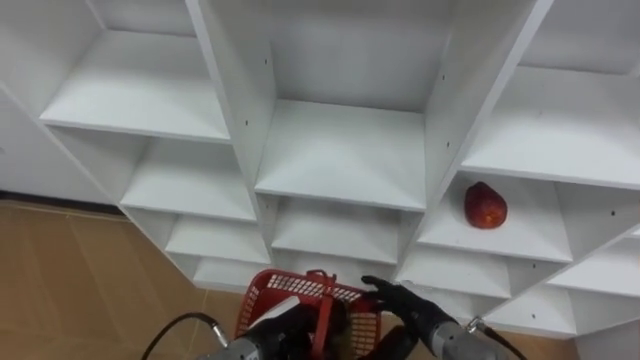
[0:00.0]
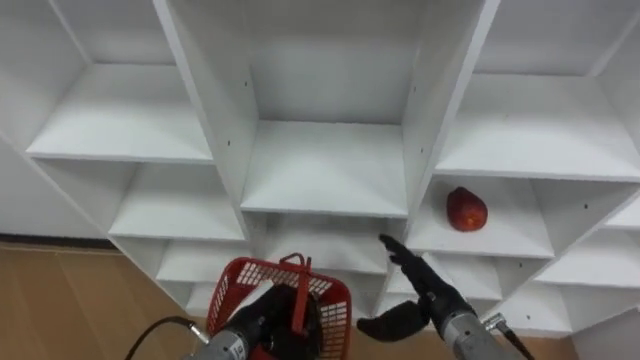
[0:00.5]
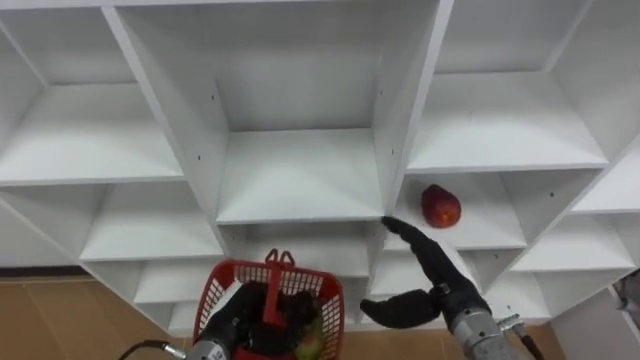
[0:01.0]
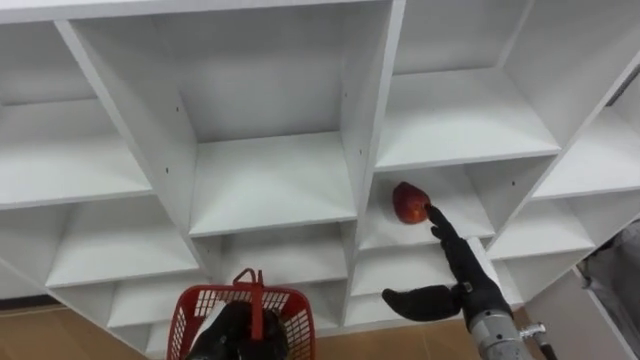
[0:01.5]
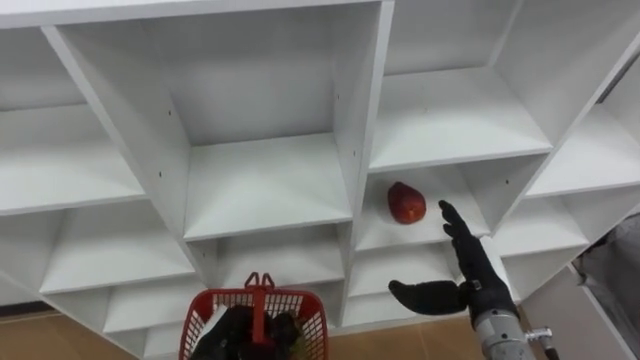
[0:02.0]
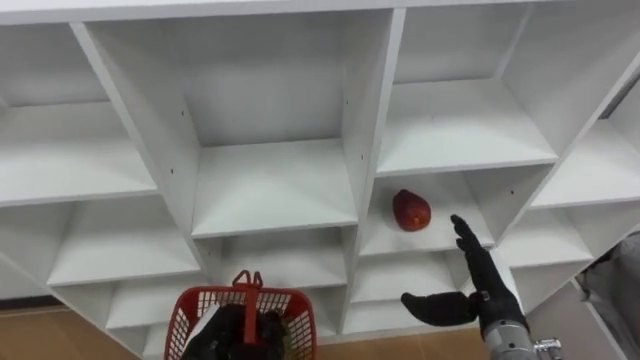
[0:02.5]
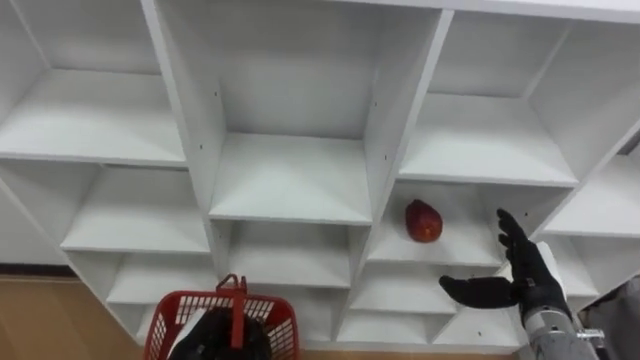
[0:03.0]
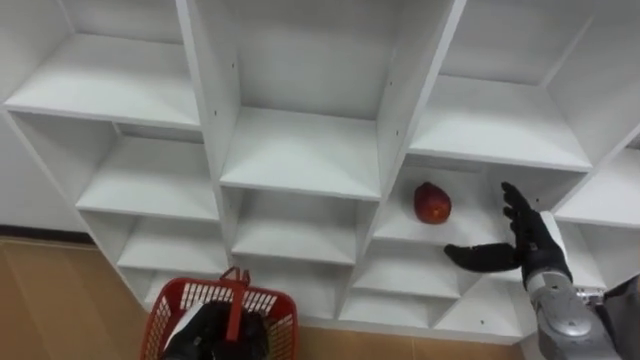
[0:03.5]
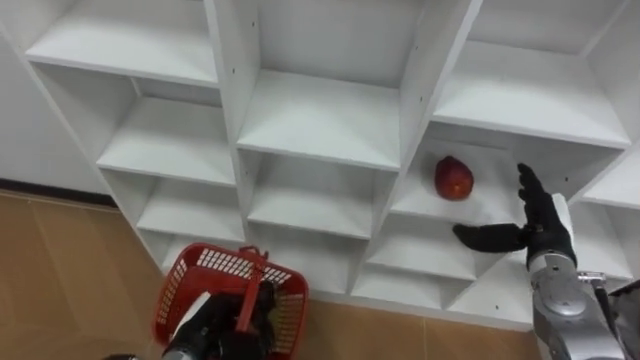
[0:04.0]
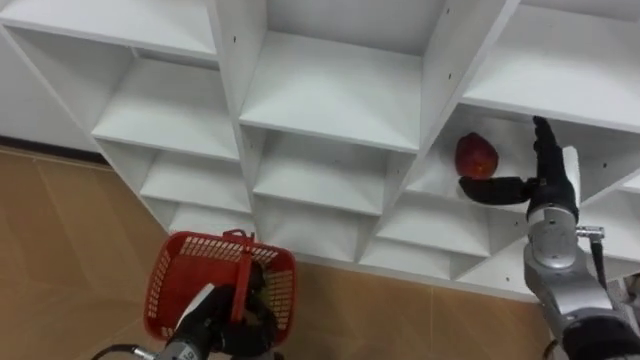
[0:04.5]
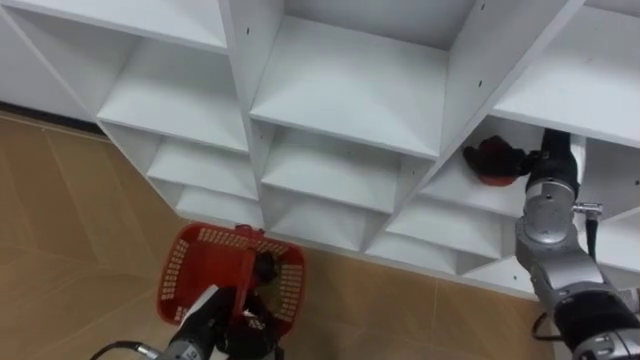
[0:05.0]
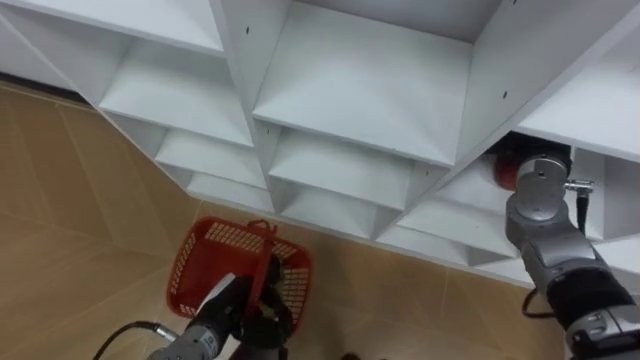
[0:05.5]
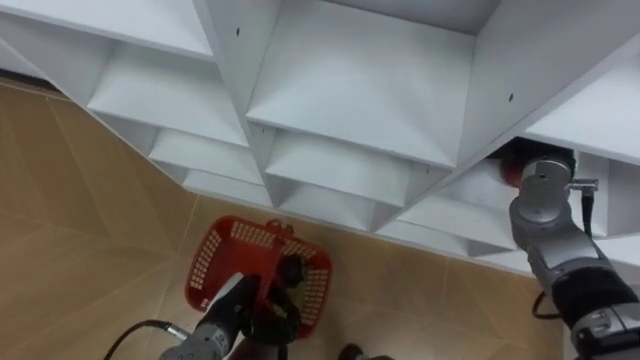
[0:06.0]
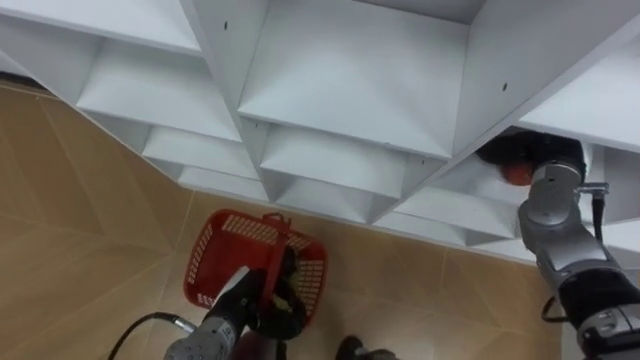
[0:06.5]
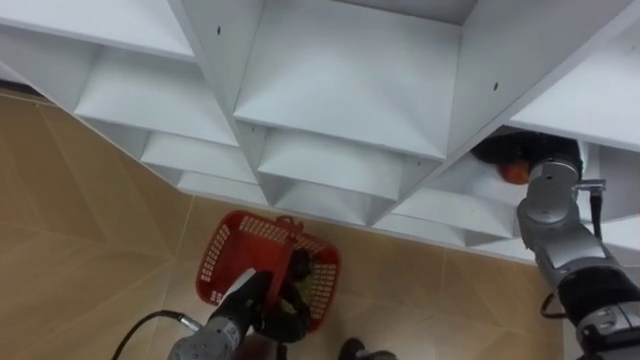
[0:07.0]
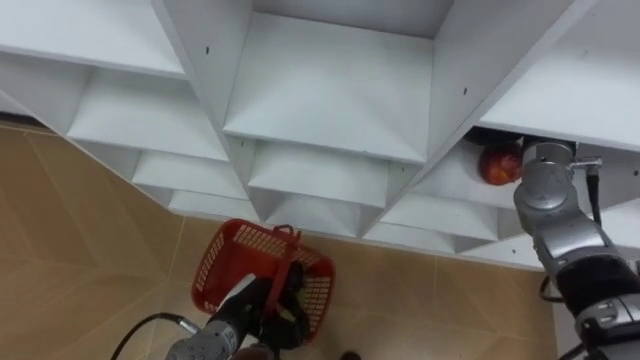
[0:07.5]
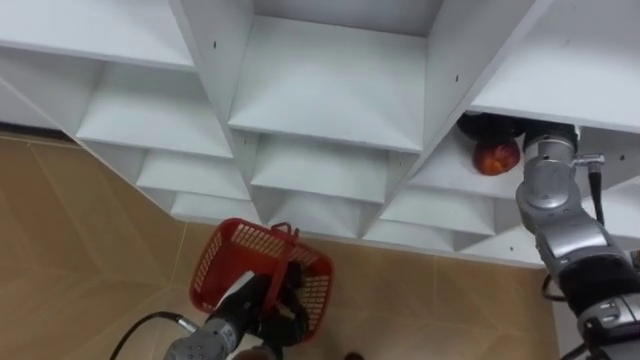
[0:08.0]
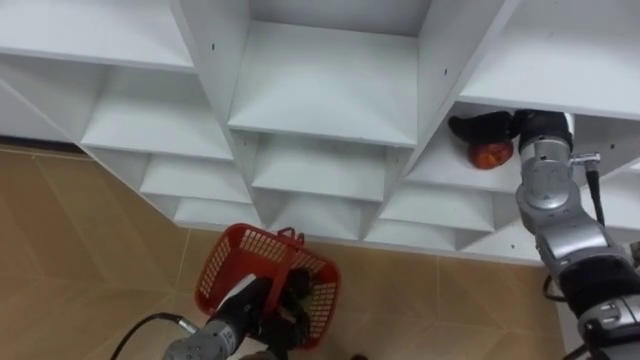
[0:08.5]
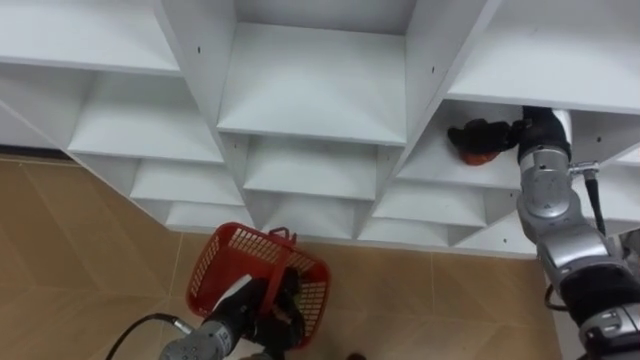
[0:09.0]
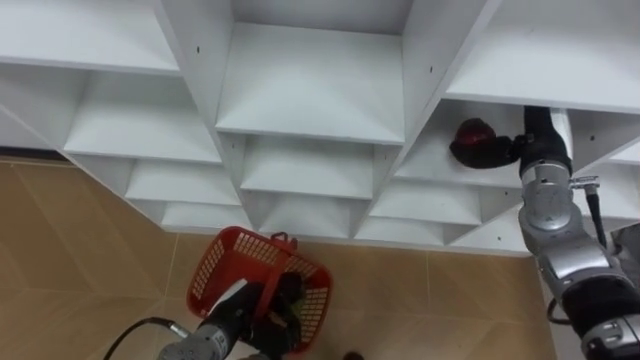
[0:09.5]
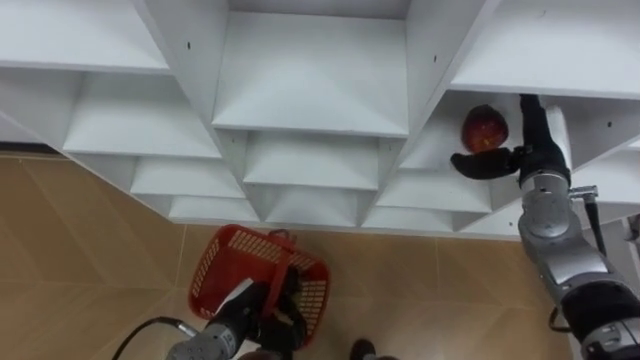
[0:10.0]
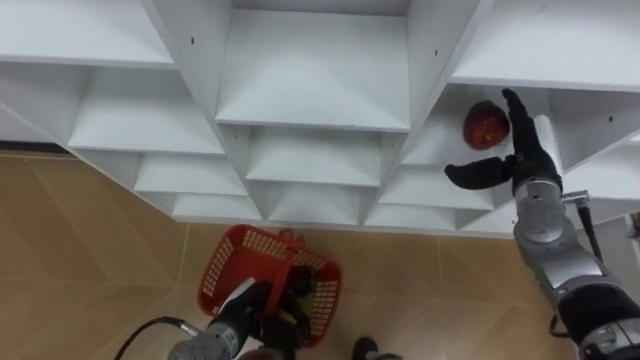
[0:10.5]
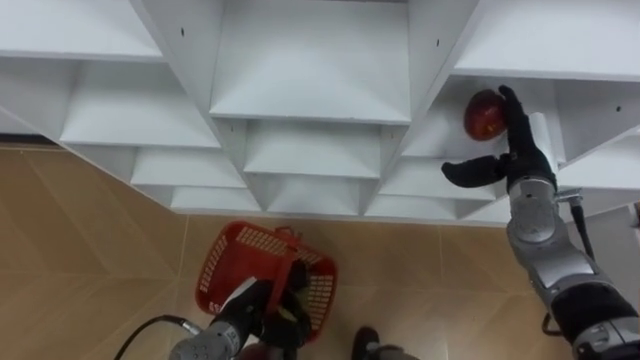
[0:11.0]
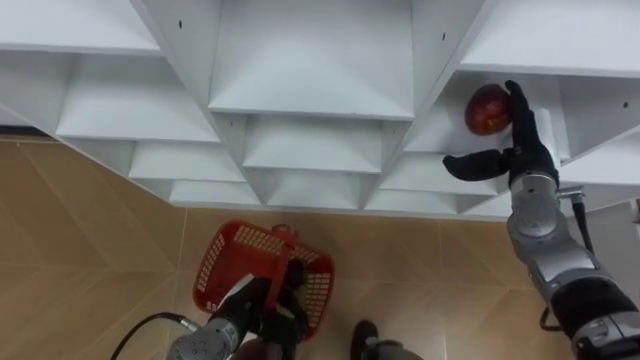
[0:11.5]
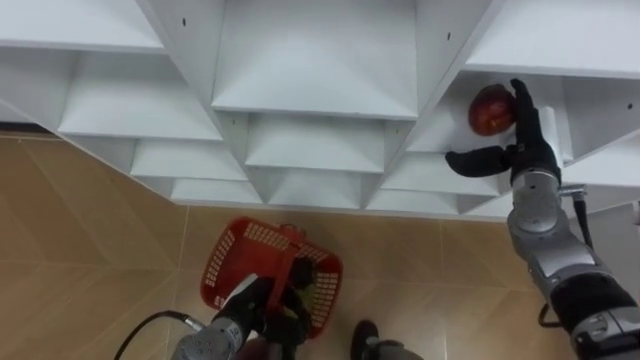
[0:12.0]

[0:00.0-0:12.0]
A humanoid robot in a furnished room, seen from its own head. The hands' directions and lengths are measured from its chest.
Task of the whole recording: Hold the basket and collect the fruits from 3 different cells of the closet into it.
0:00.0 to 0:02.0: The left hand travels to the left by about 10 cm, while the right hand travels upward and to the right by about 10 cm.
0:02.0 to 0:04.0: The right hand heads to the right and forward, covering some 10 cm.
0:04.0 to 0:06.0: The right hand heads upward and forward, covering some 15 cm.
0:08.0 to 0:10.0: The right hand ends up about 5 cm from where it was.

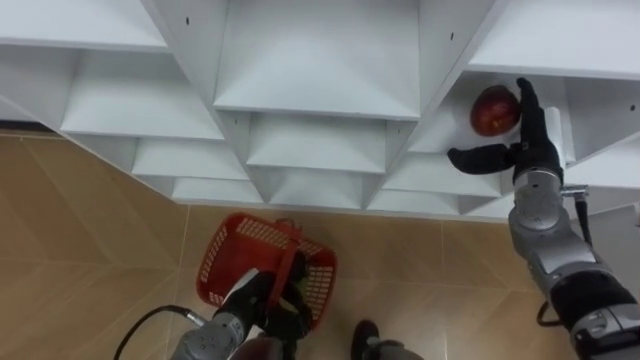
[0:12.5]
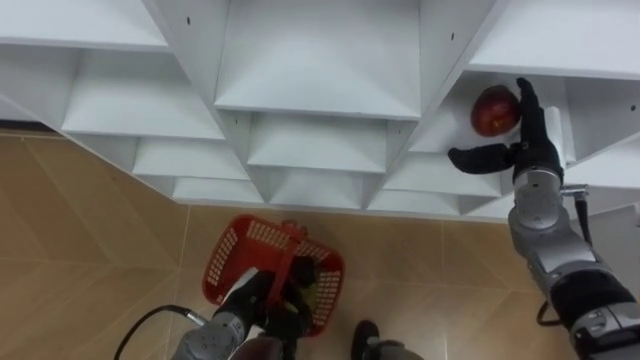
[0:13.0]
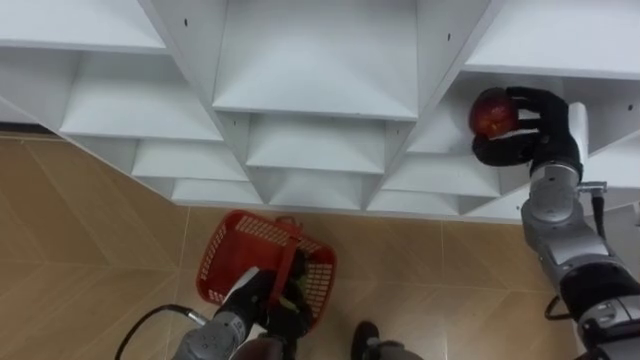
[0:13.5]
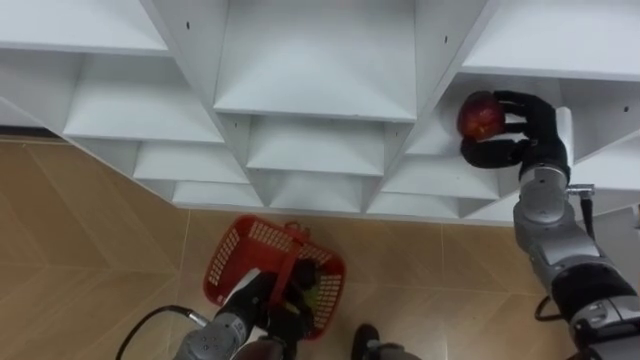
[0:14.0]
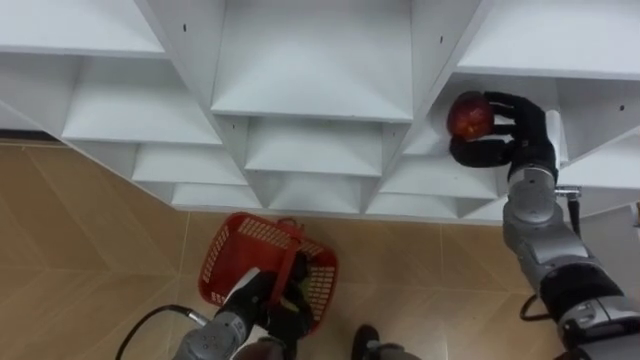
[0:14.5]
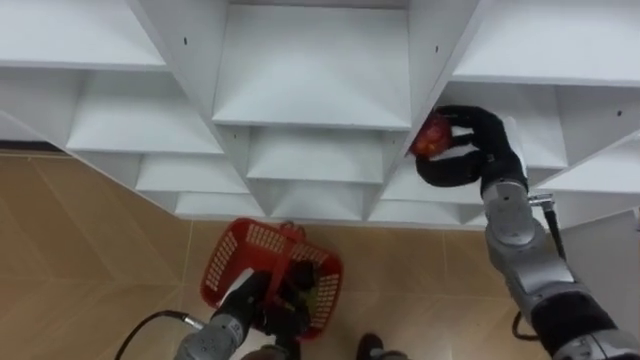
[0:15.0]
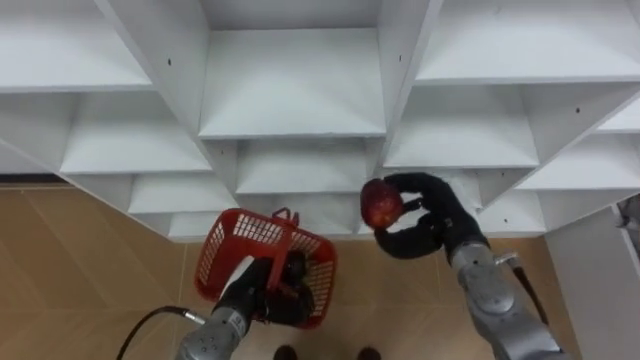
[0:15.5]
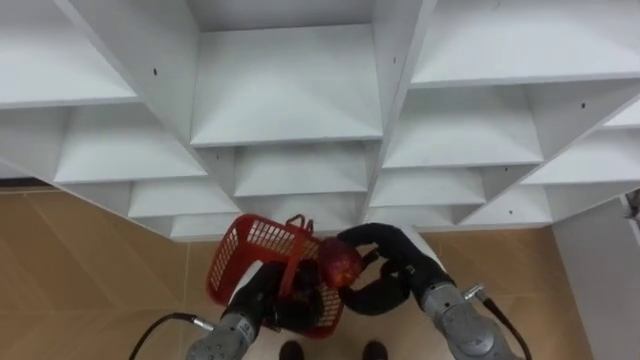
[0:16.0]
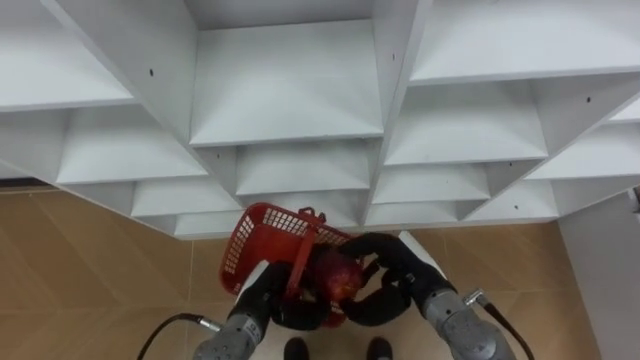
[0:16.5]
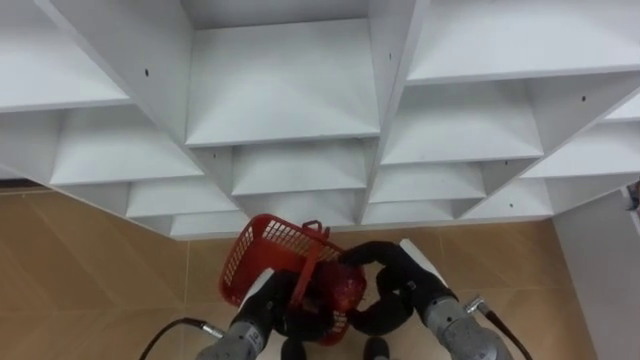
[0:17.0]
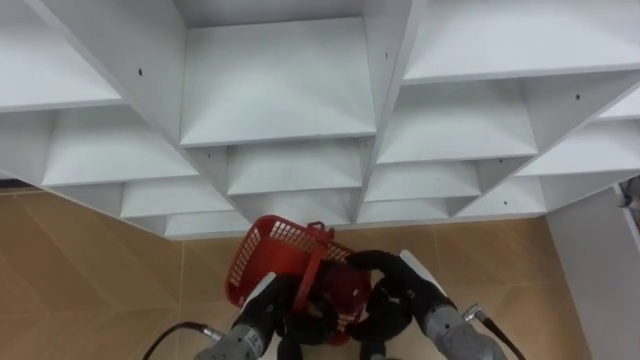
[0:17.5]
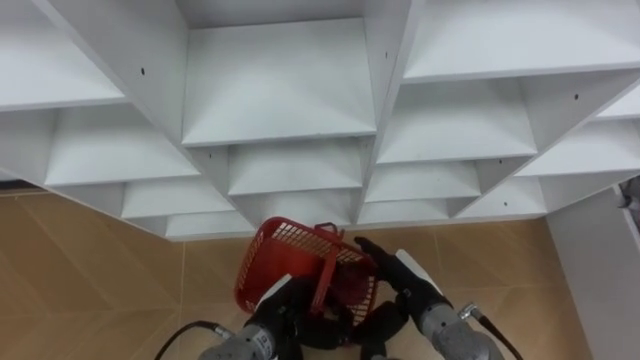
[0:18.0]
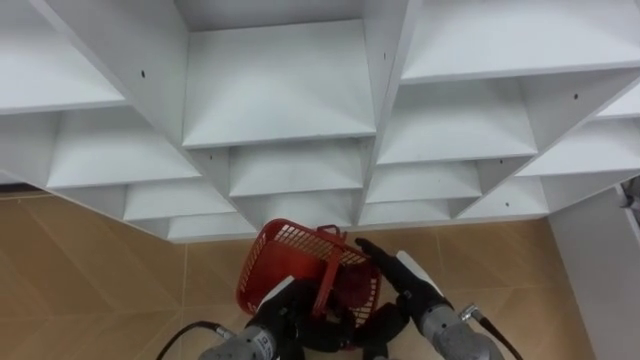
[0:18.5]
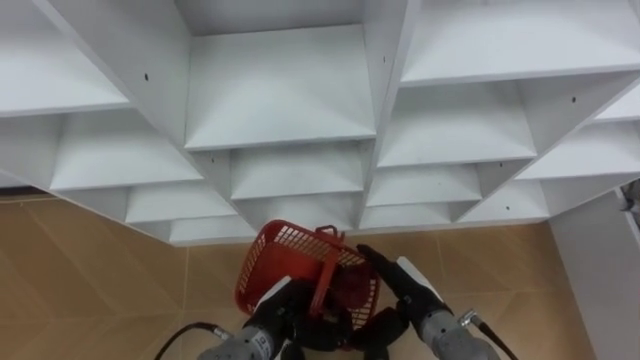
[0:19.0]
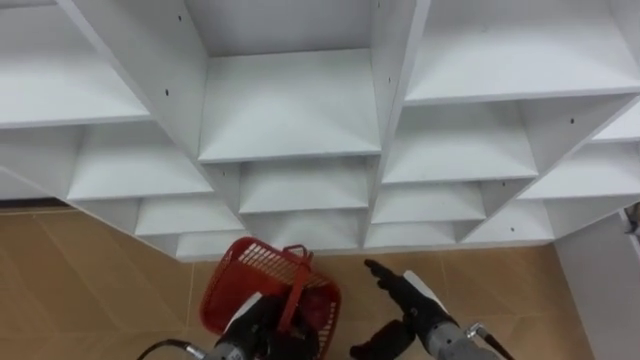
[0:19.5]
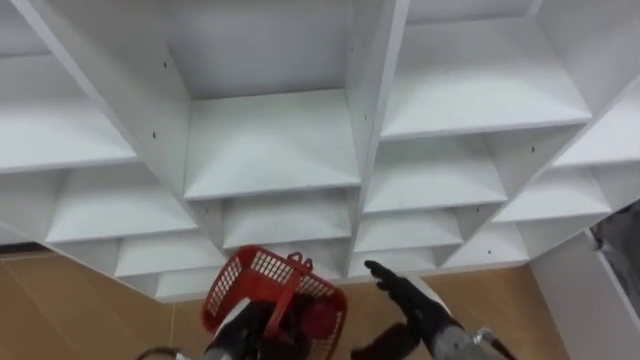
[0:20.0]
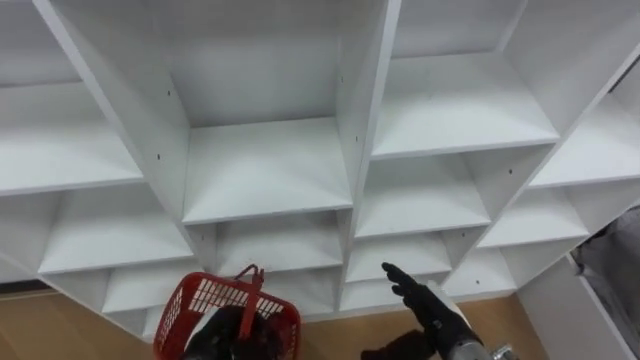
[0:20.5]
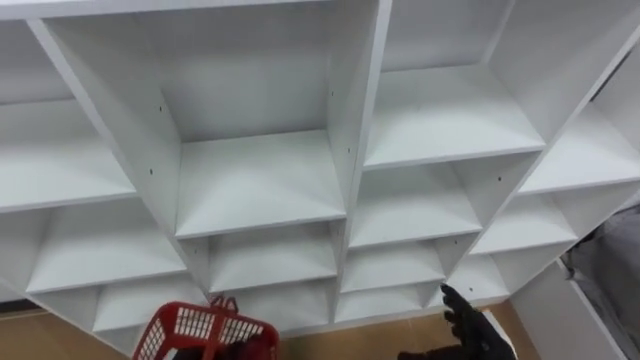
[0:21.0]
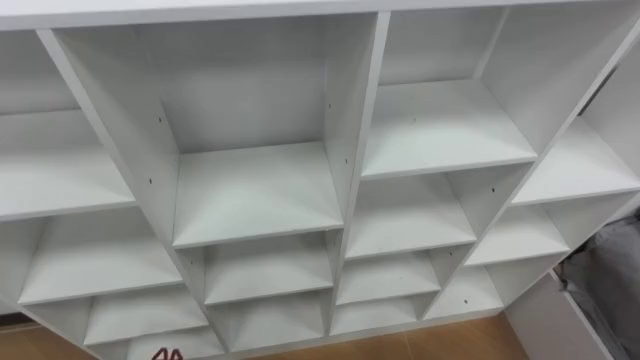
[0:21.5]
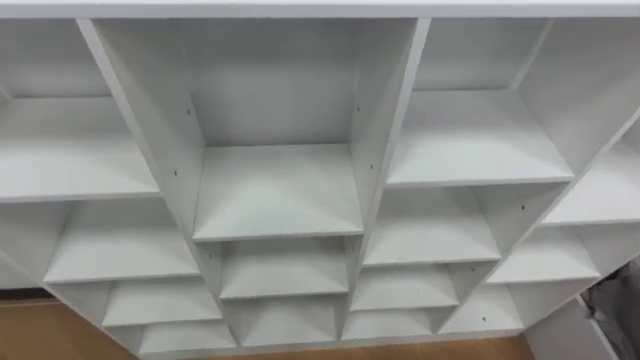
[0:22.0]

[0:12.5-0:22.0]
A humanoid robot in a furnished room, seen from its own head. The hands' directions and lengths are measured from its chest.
Task of the whole recording: Hold the basket and collect the fruits from 3 different cells of the closet into it.
0:12.5 to 0:14.5: The right hand closes its fingers.
0:14.5 to 0:16.5: The right hand shifts roughly 20 cm to the left, backward and downward.
0:16.5 to 0:18.0: The right hand opens its fingers.
0:18.0 to 0:20.0: The left hand goes some 5 cm to the left.
